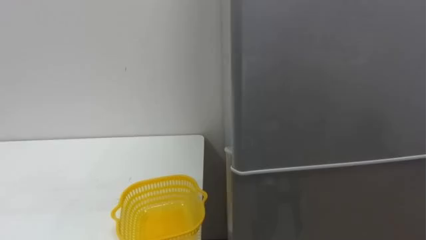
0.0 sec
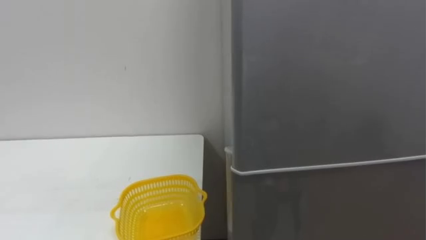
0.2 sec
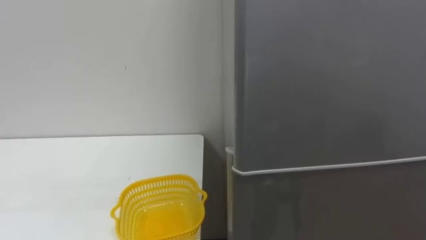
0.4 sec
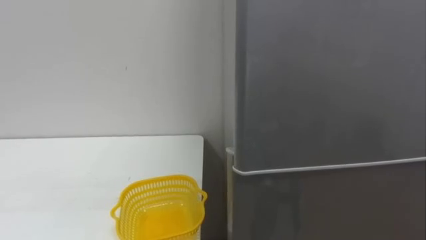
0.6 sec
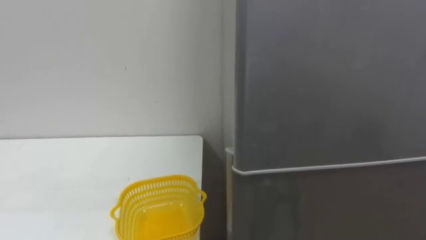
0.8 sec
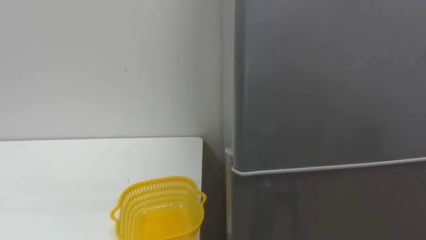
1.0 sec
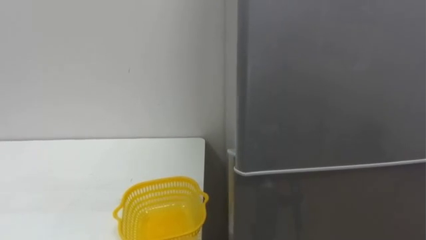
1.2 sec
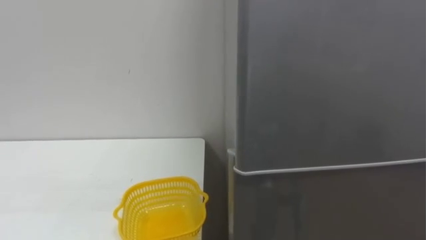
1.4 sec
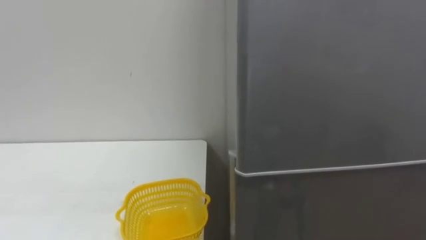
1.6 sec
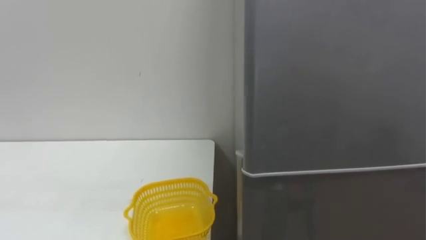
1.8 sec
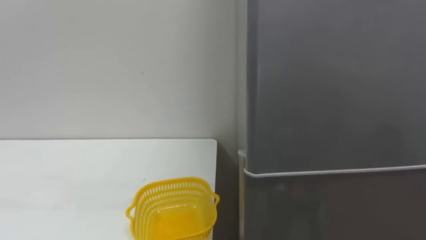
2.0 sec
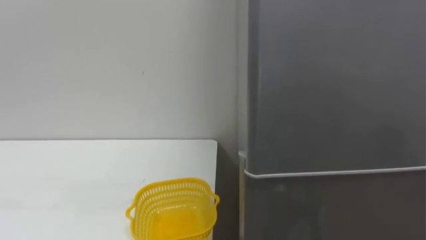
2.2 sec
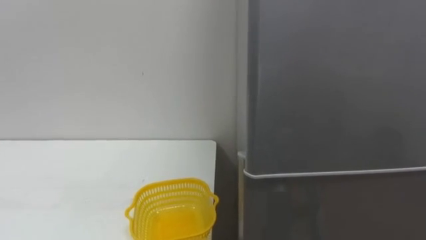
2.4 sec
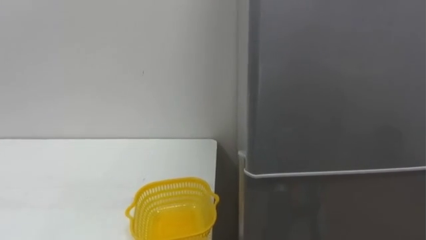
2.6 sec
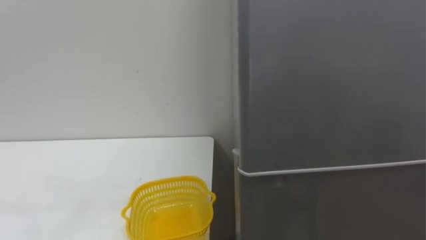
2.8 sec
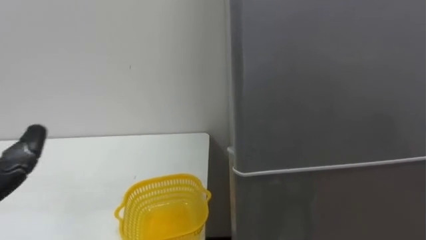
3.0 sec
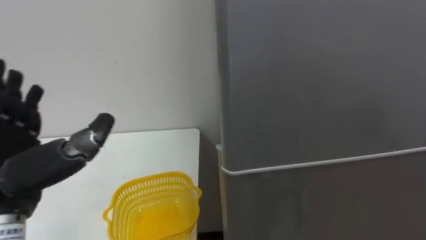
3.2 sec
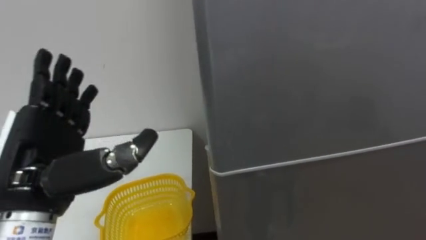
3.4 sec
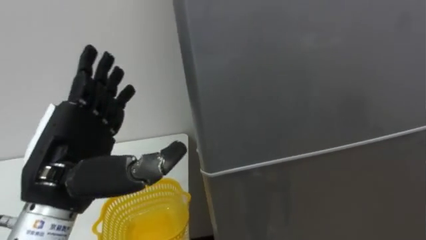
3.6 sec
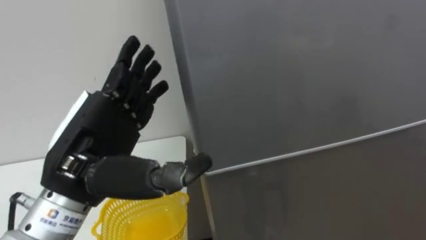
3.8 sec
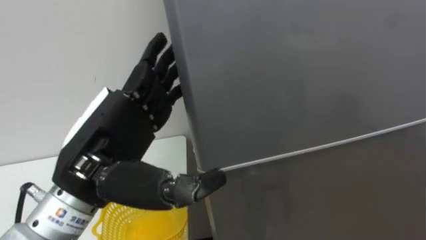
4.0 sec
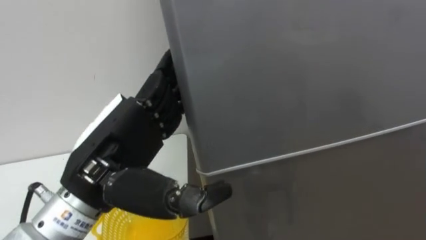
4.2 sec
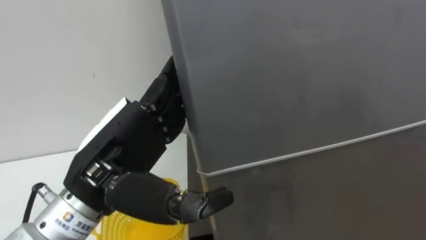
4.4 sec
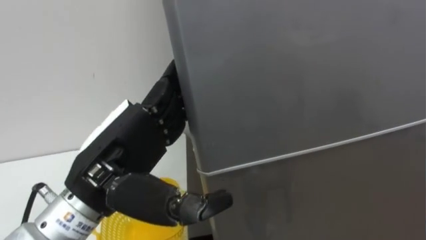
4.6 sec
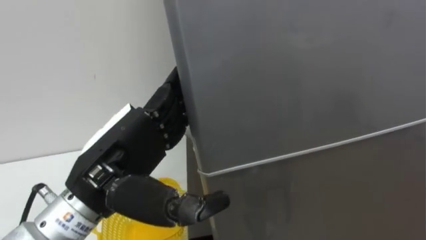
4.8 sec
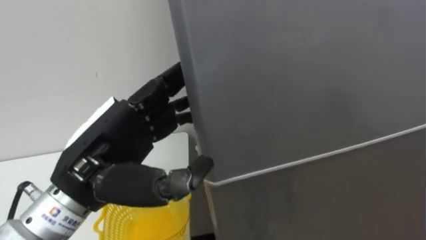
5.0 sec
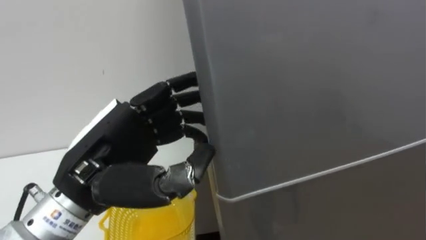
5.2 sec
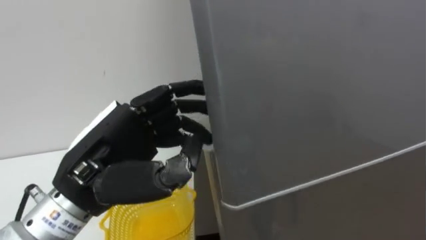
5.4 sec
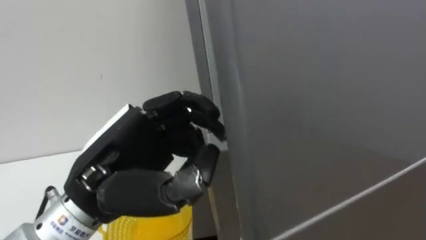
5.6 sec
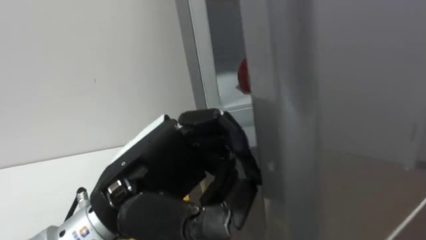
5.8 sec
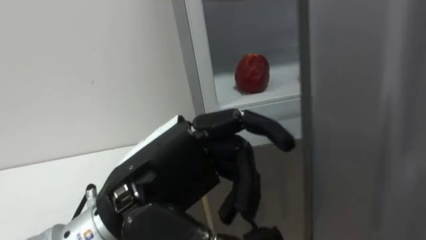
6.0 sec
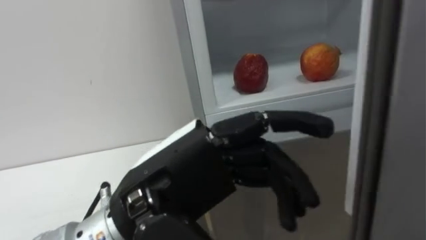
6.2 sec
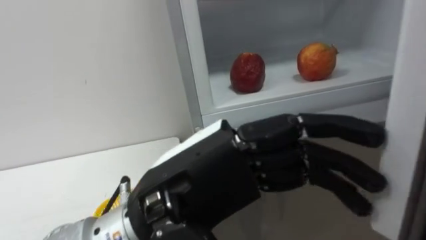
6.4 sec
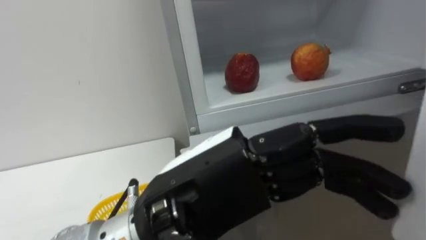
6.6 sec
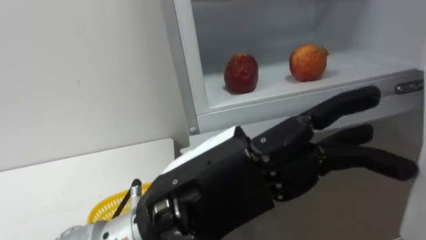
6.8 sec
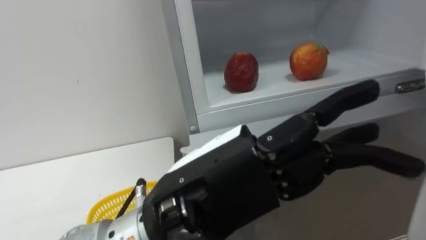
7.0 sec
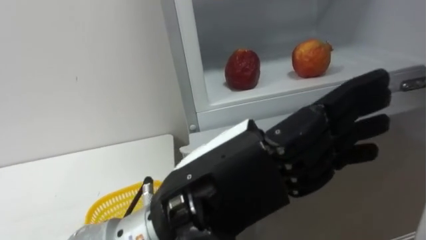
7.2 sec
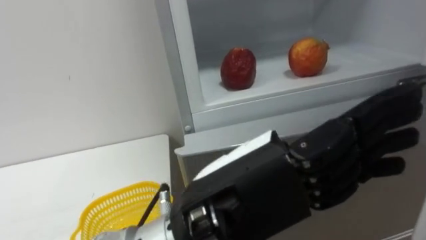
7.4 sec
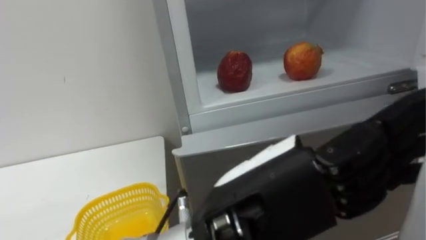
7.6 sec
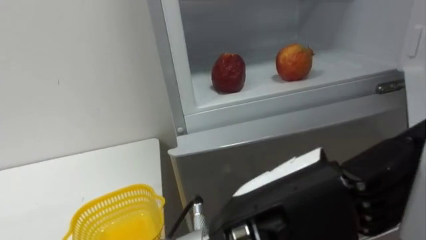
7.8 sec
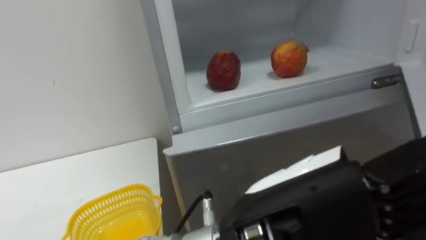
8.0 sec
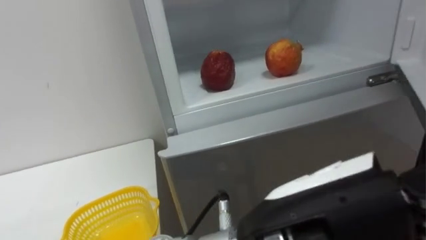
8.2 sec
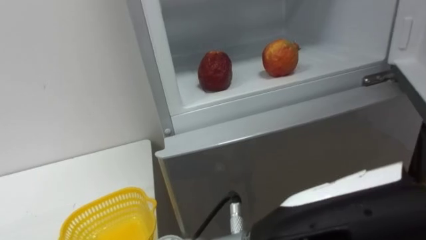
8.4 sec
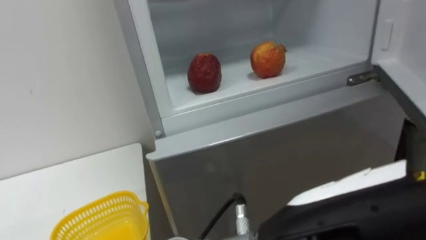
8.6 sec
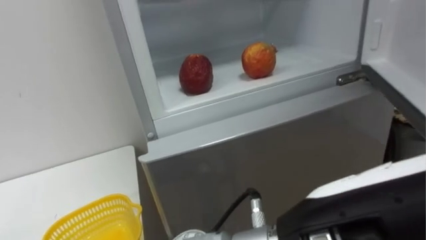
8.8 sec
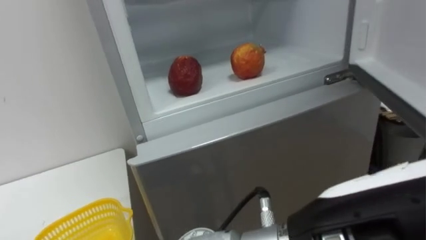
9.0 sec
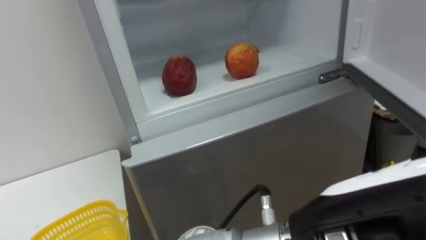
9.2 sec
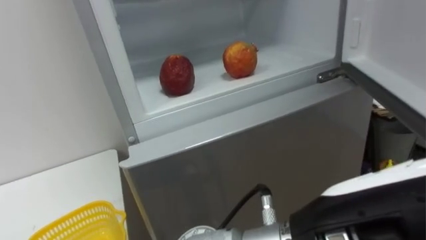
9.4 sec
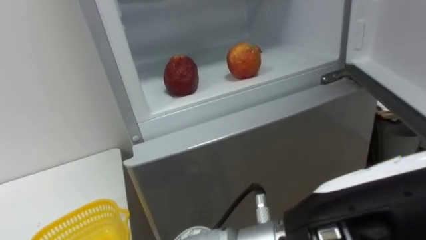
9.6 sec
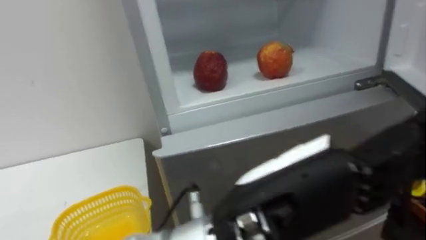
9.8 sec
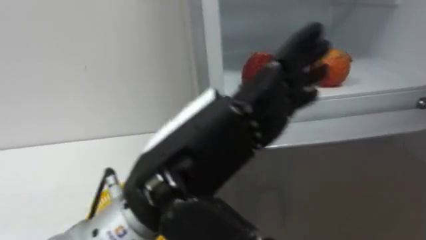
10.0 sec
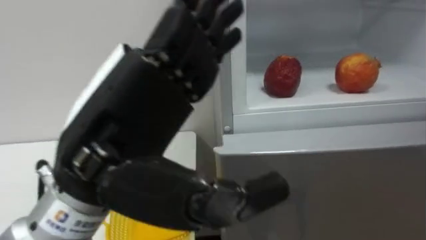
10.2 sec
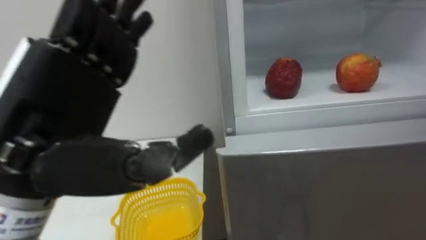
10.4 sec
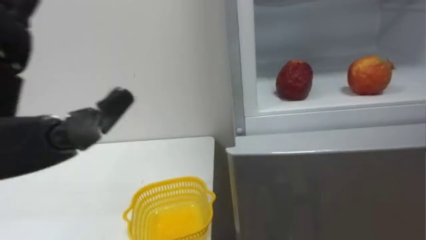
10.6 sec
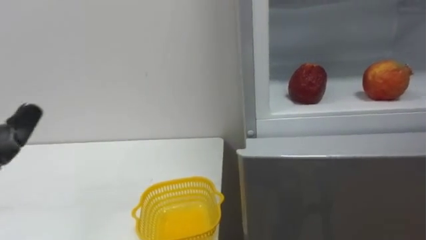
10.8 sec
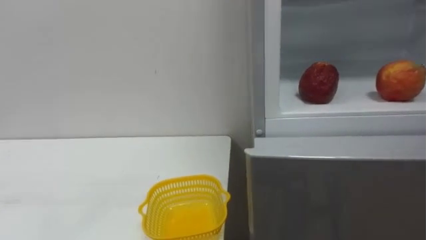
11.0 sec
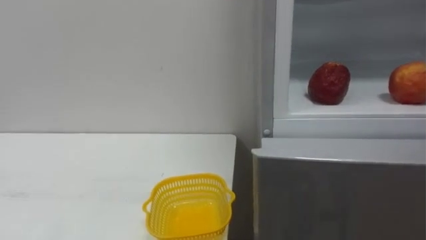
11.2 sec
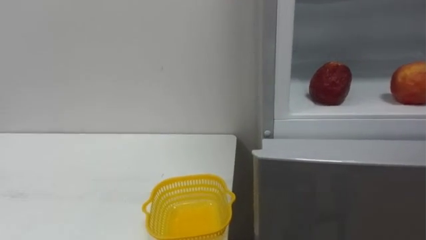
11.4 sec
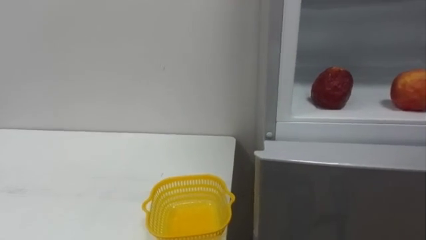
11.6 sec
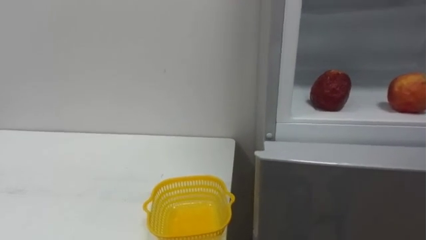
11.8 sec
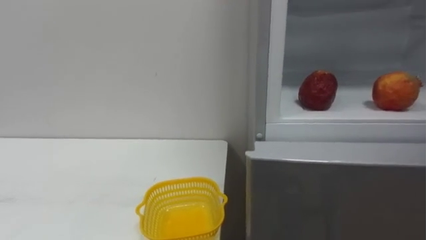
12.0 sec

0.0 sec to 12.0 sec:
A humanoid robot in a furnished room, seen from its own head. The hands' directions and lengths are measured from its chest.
Task of the whole recording: Open the refrigerator door, take out the apple and the pomegranate, place them in the fruit basket on the left, and close the refrigerator door.
4.4 sec to 6.0 sec: The left hand moves to the right, approximately 5 cm, and closes.
6.0 sec to 7.6 sec: The left hand shifts about 10 cm to the right, and opens.
7.6 sec to 9.0 sec: The left hand heads to the right, covering some 5 cm.
9.0 sec to 10.4 sec: The left hand shifts about 25 cm to the left.

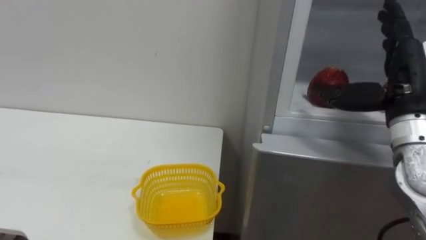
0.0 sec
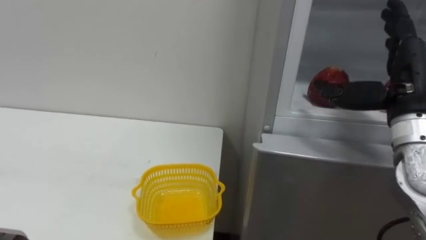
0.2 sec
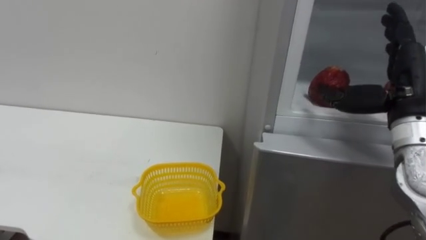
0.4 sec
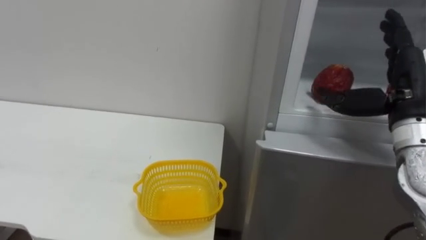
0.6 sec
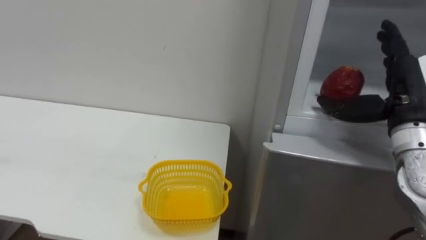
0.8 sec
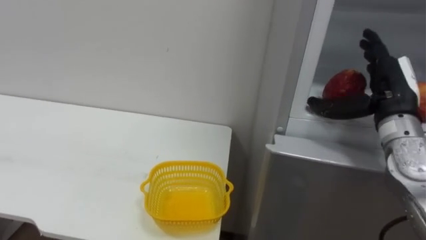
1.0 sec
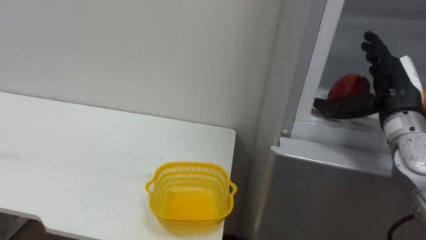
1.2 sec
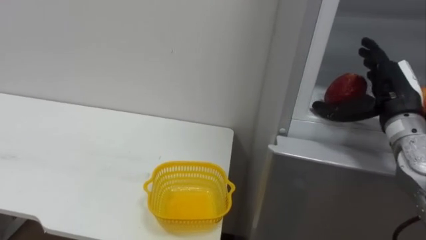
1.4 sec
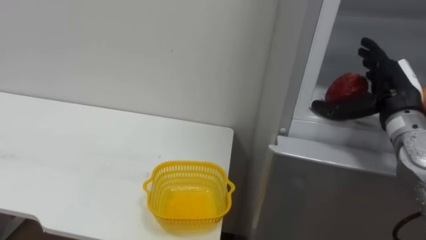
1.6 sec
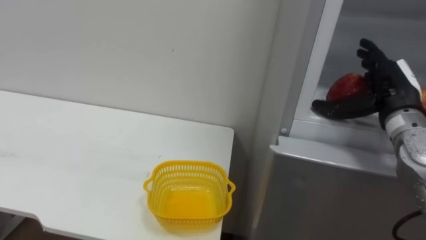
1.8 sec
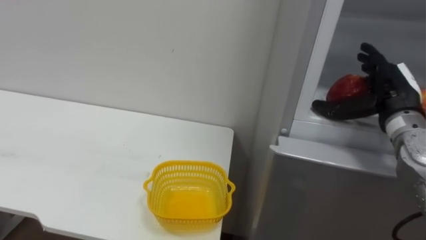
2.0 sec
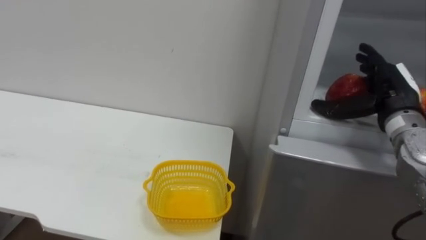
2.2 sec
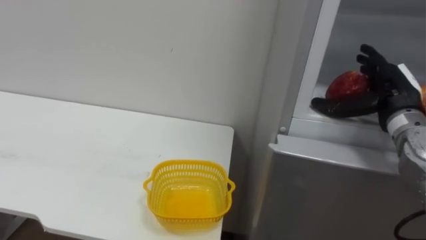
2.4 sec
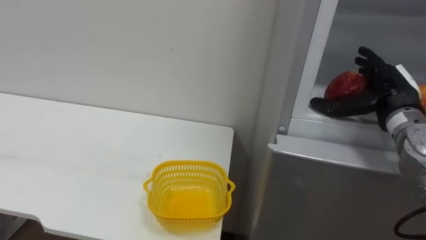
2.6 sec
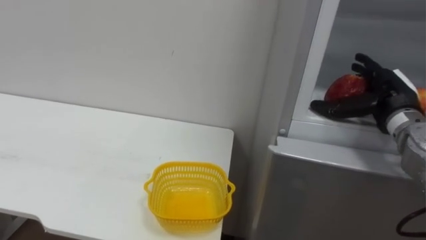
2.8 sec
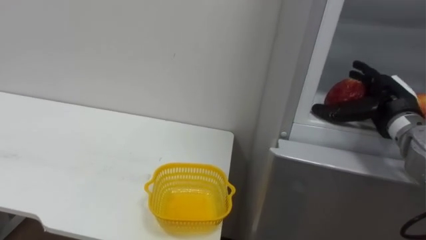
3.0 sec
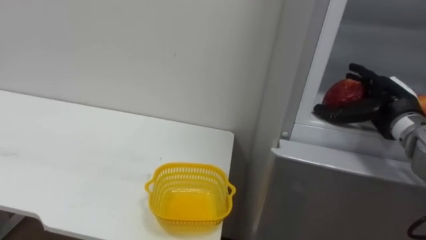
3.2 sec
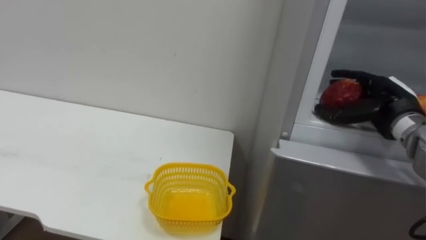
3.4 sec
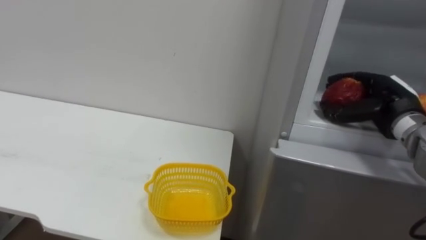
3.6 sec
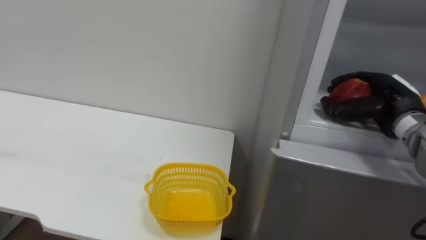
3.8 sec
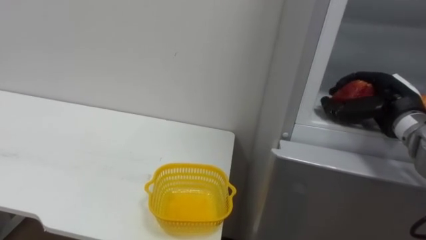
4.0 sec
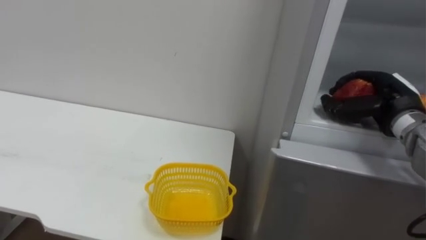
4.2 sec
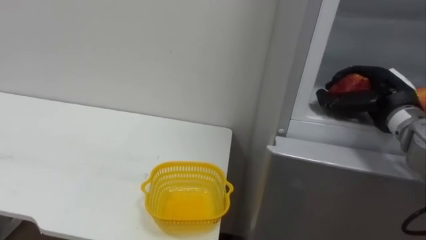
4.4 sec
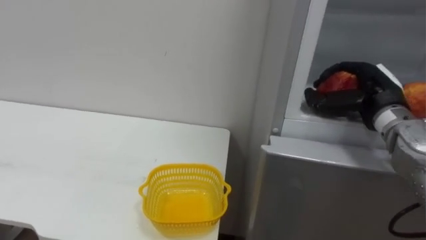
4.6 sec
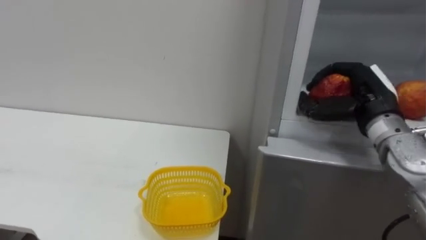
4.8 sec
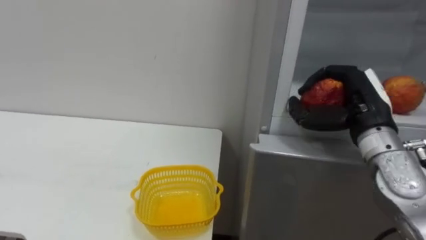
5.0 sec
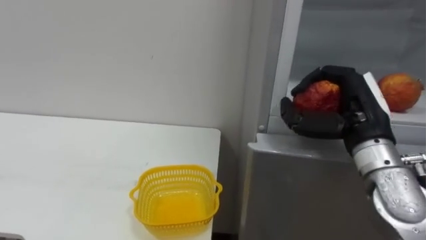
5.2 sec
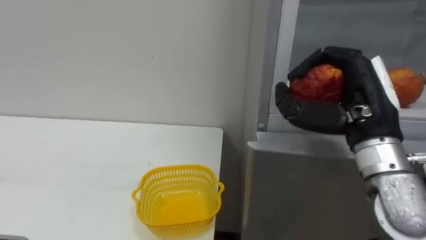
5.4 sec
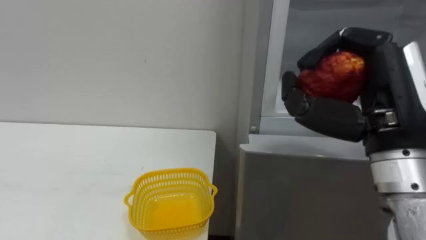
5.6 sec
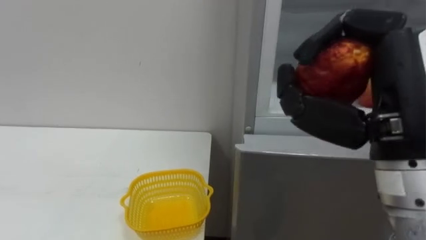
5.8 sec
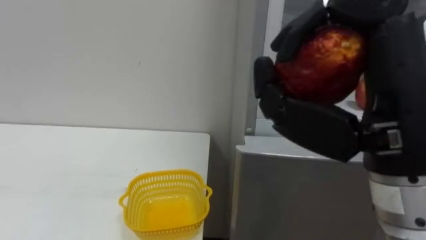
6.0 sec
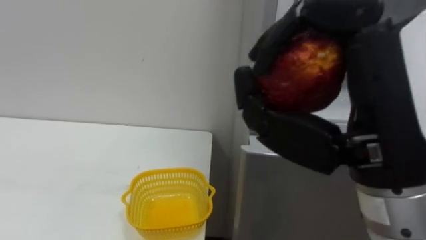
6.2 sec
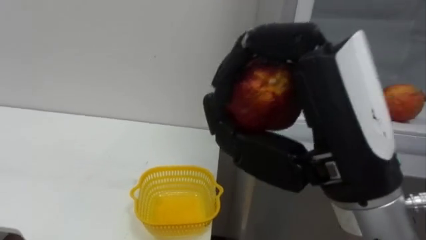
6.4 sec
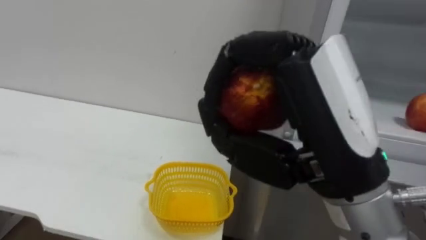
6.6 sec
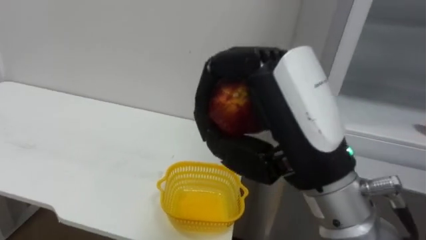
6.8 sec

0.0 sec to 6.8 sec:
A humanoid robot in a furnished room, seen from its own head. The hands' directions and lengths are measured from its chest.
Task of the whole recording: Open the refrigerator door, take out the apple and the pomegranate, place them in the fruit basket on the left, and close the refrigerator door.
0.0 sec to 1.4 sec: The right hand changes place by about 5 cm.
2.8 sec to 4.0 sec: The right hand closes.
4.0 sec to 5.4 sec: The right hand goes about 15 cm backward, to the left and upward.
5.4 sec to 6.8 sec: The right hand travels to the left and backward by roughly 15 cm.
